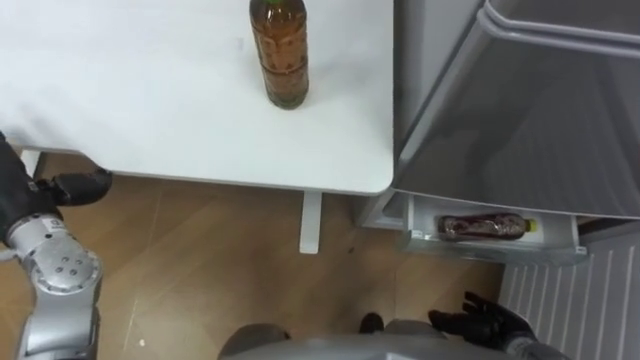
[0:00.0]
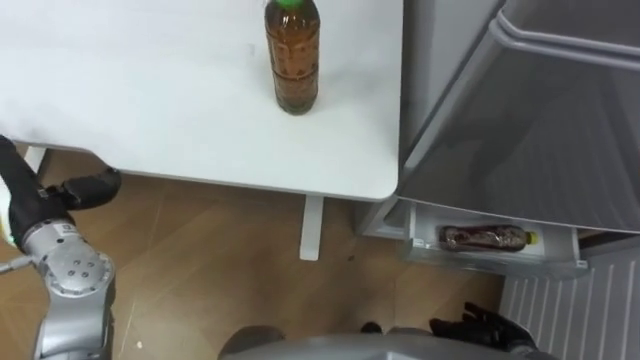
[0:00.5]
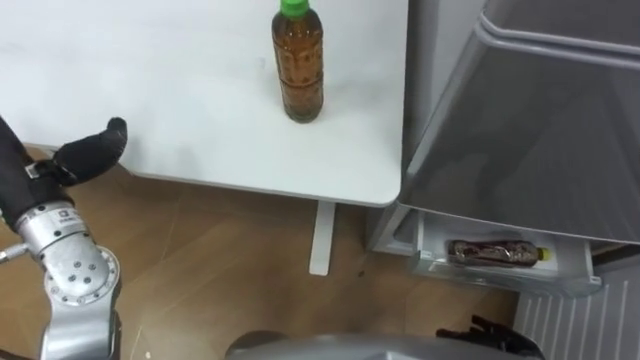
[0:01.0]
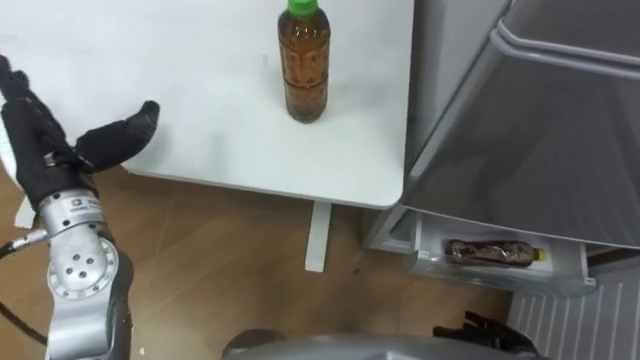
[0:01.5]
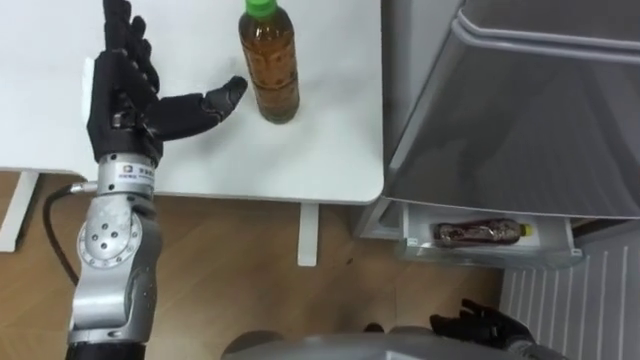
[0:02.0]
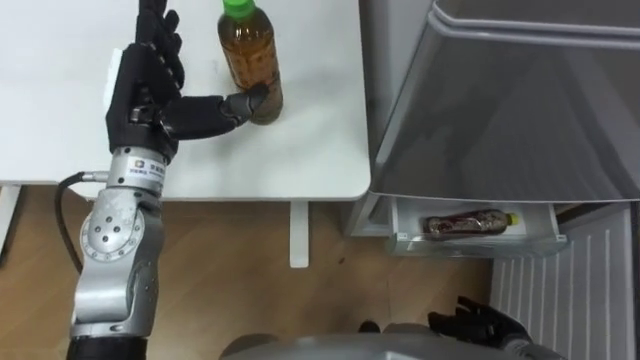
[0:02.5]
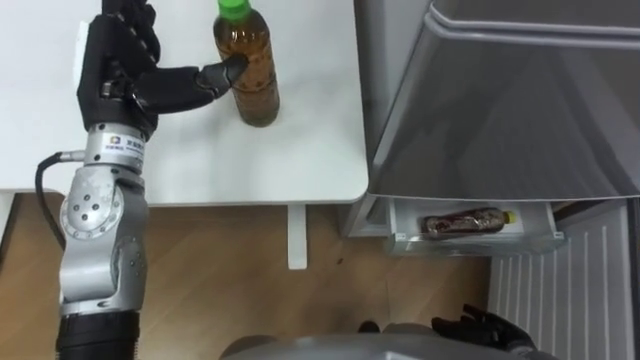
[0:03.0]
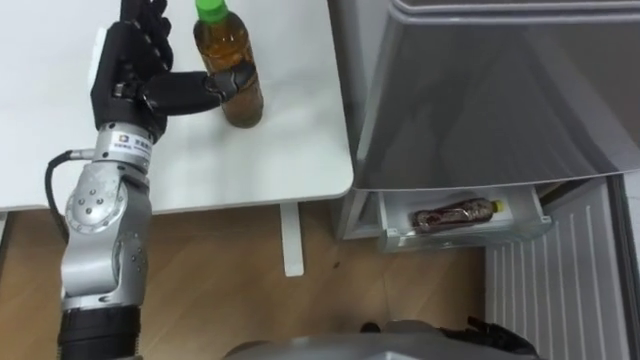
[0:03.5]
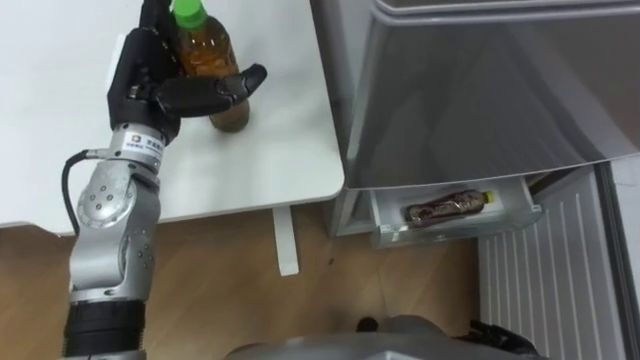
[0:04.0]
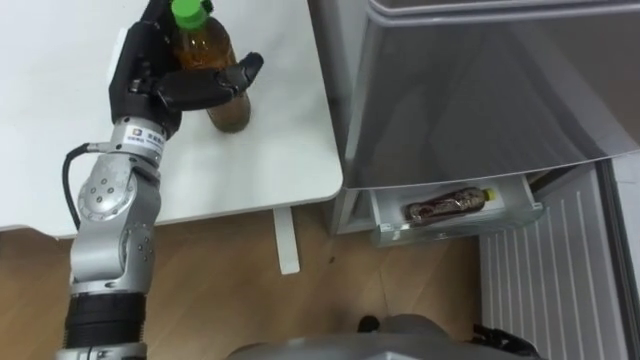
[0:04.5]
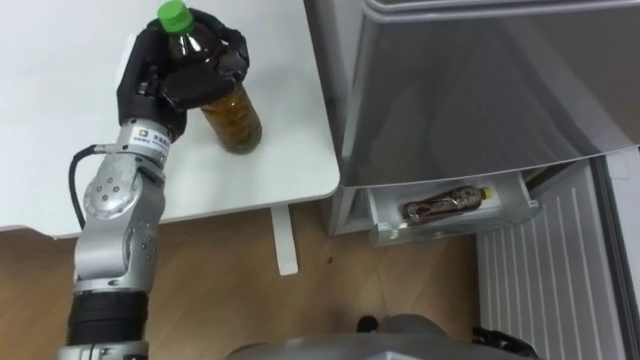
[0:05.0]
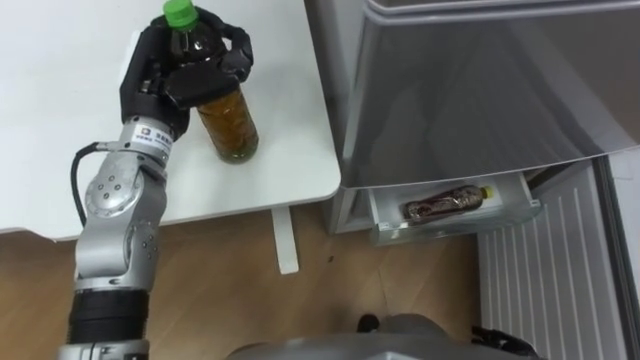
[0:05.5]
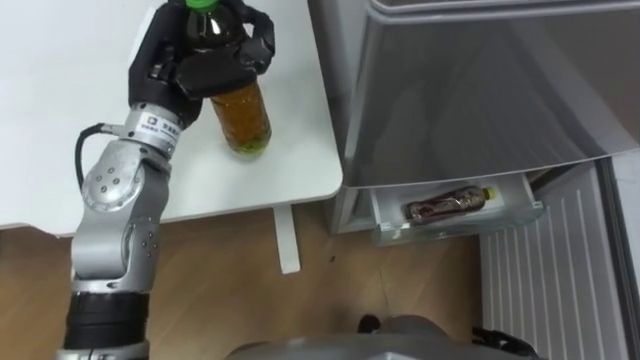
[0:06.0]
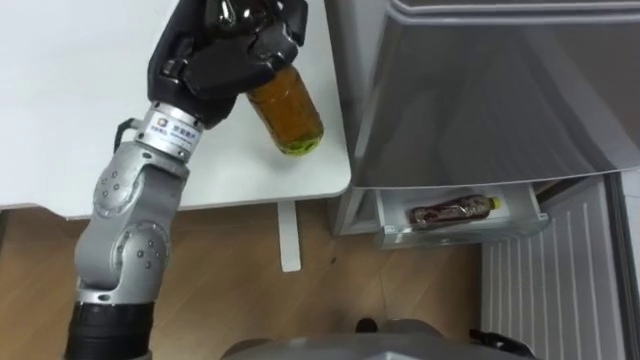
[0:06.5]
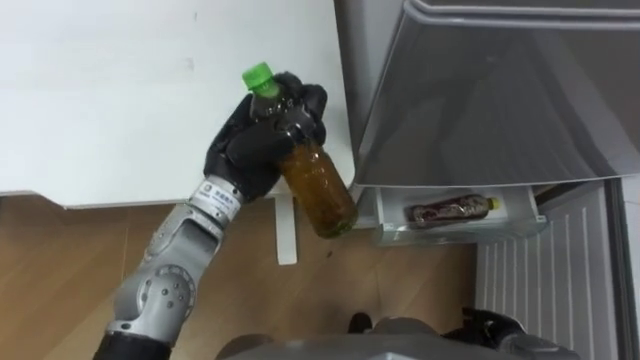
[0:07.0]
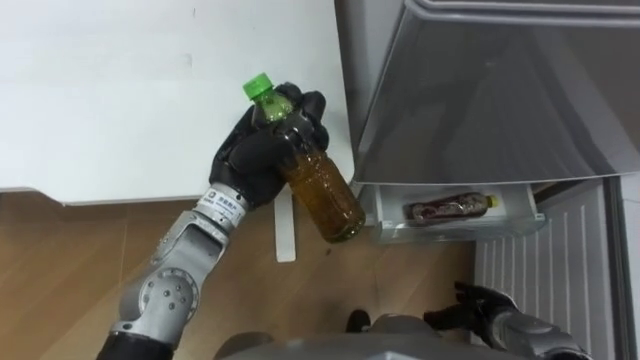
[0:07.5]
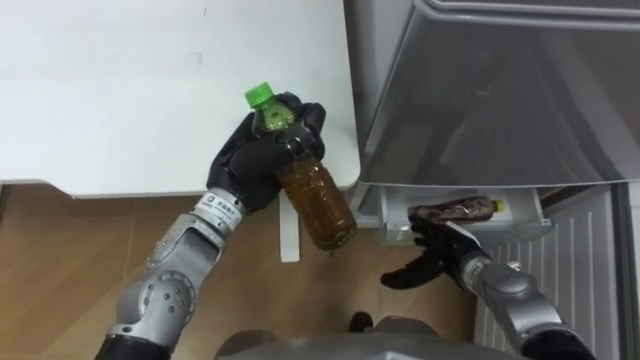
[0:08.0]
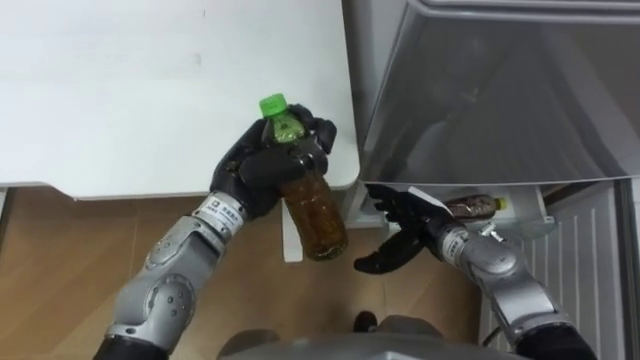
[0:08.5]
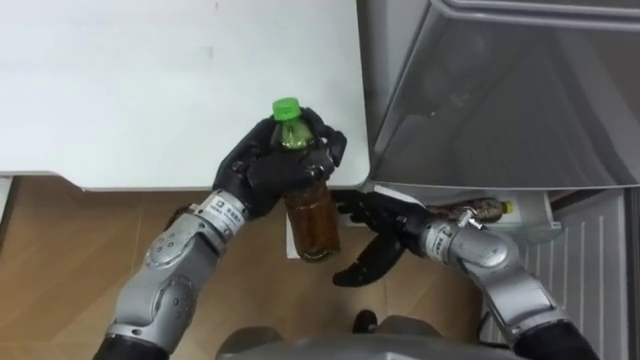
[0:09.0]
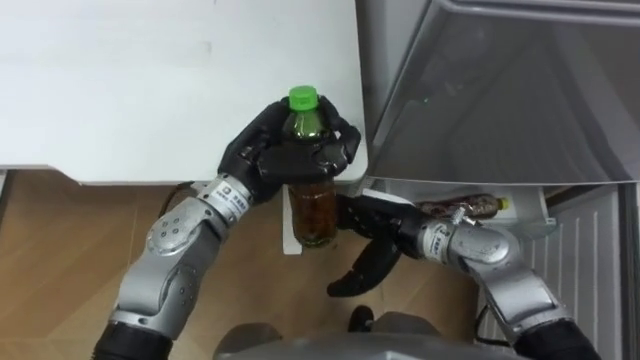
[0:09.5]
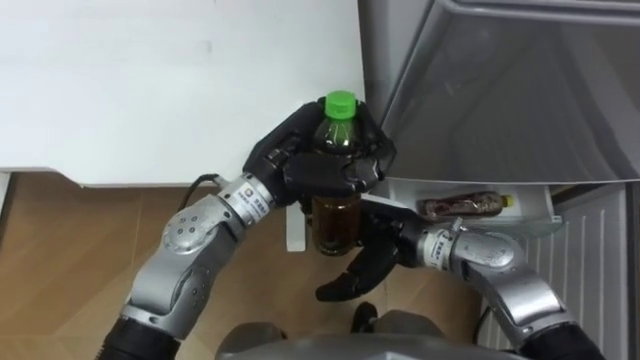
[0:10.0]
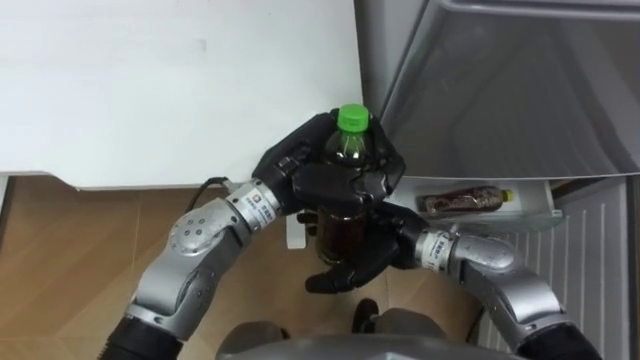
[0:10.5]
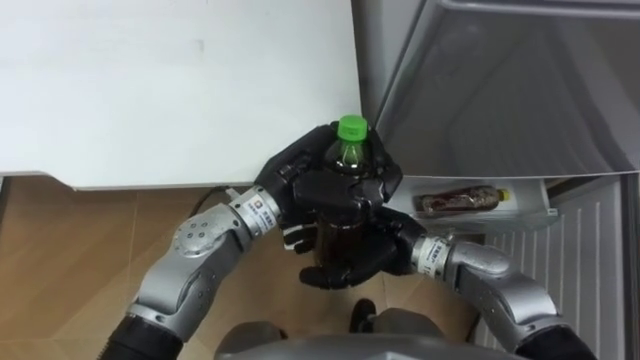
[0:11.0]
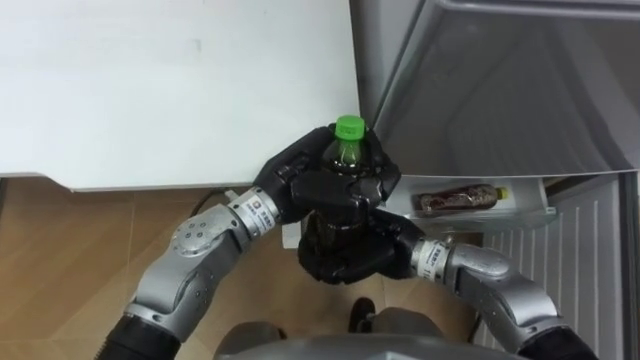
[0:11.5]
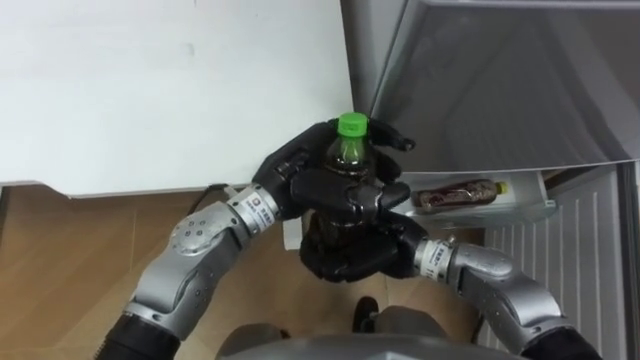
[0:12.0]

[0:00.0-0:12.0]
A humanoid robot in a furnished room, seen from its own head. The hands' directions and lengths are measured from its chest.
Task of the whole recording: Place the drink on the table on the bottom shelf of the refrigerator, then close the drawer and the refrigerator door.
0:04.0 to 0:06.0: The left hand closes.
0:06.0 to 0:08.0: The right hand travels forward, to the left and upward by approximately 15 cm; the left hand moves downward, to the right and backward, some 15 cm.
0:08.0 to 0:10.0: The right hand travels to the left and upward by roughly 15 cm. Meanwhile the left hand is displaced to the right by some 5 cm.
0:10.0 to 0:12.0: The right hand closes up, while the left hand opens its fingers.

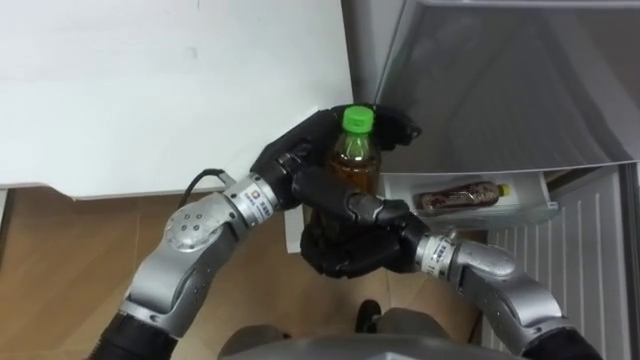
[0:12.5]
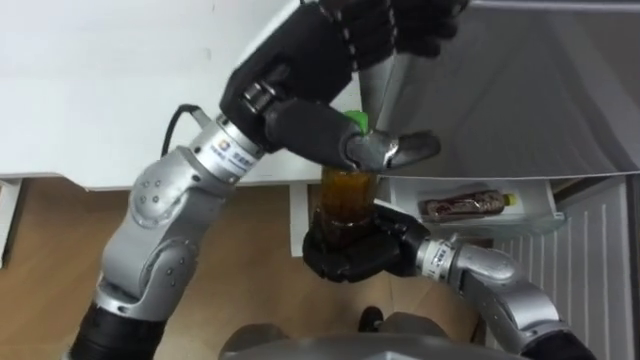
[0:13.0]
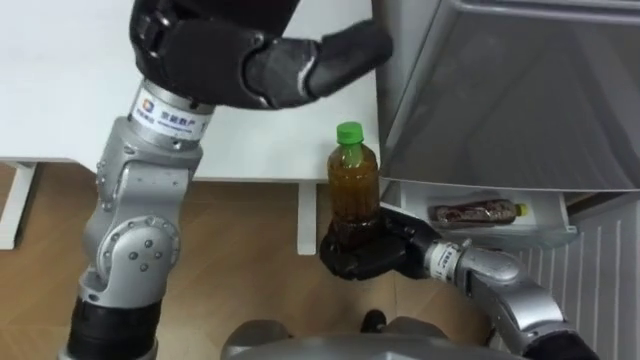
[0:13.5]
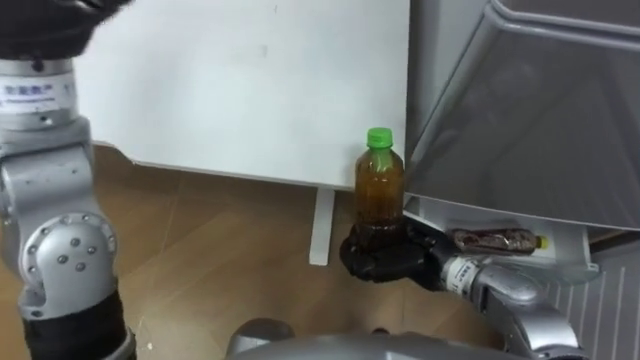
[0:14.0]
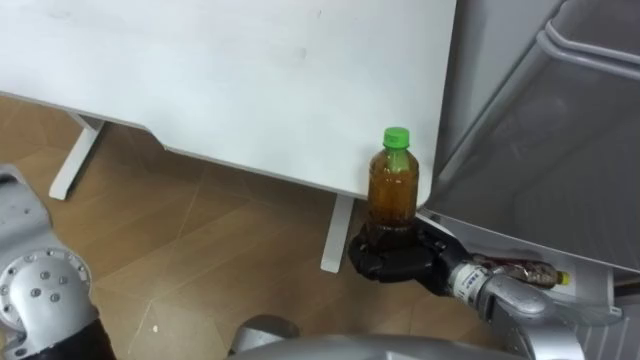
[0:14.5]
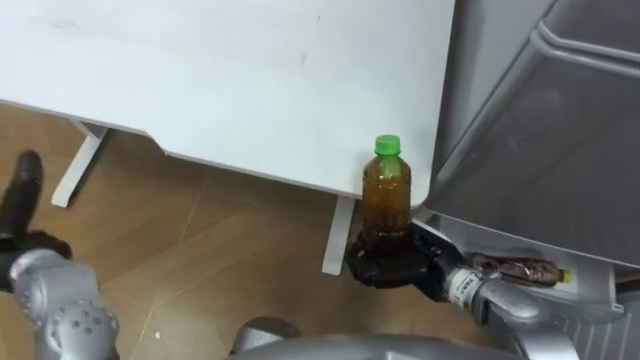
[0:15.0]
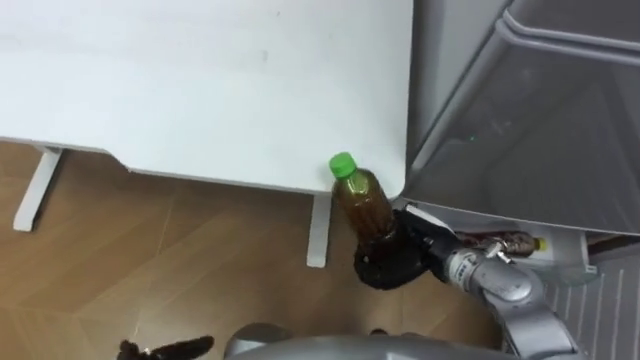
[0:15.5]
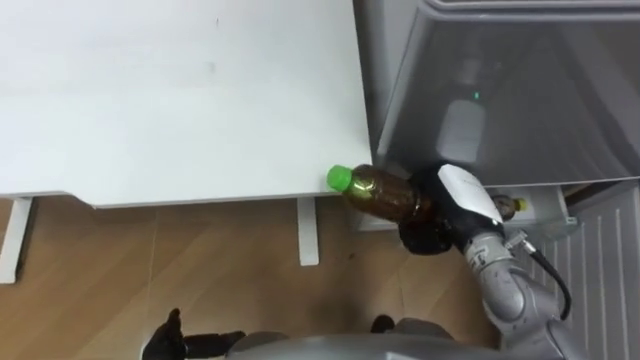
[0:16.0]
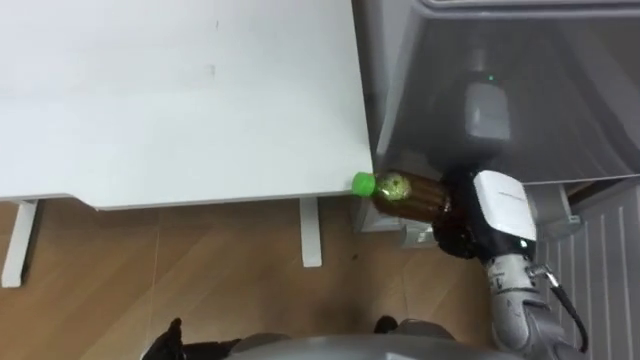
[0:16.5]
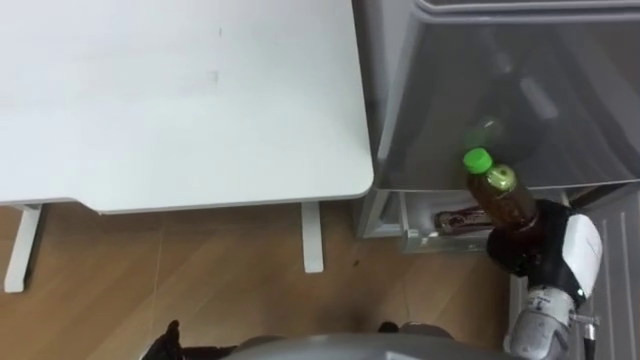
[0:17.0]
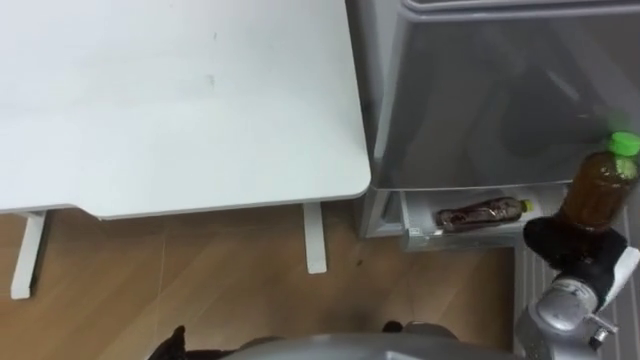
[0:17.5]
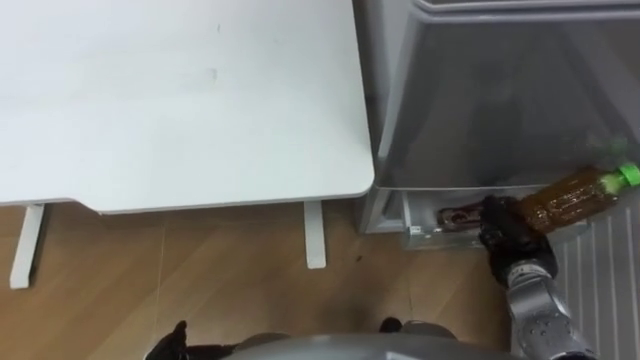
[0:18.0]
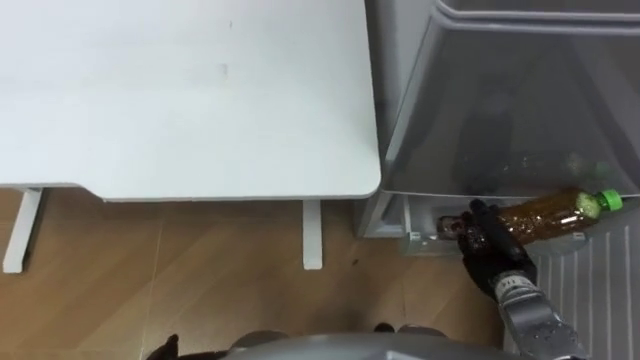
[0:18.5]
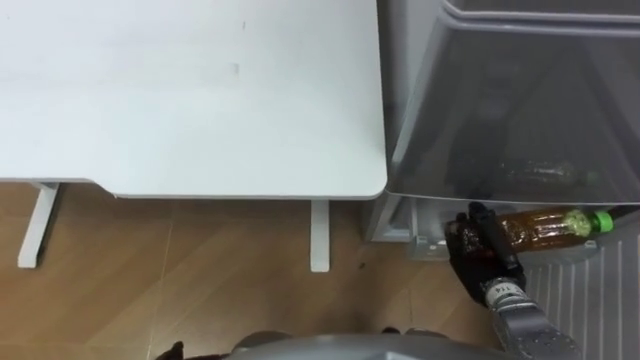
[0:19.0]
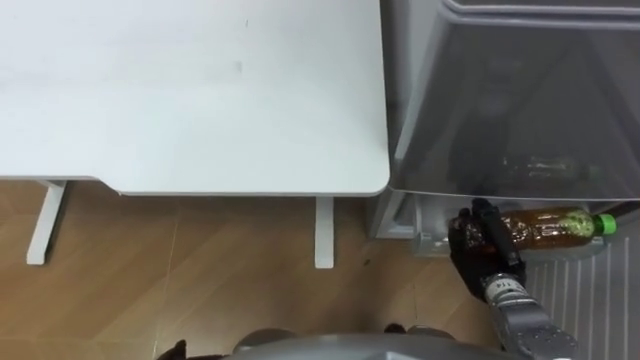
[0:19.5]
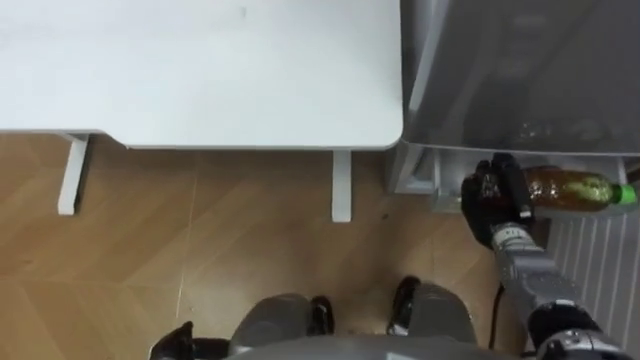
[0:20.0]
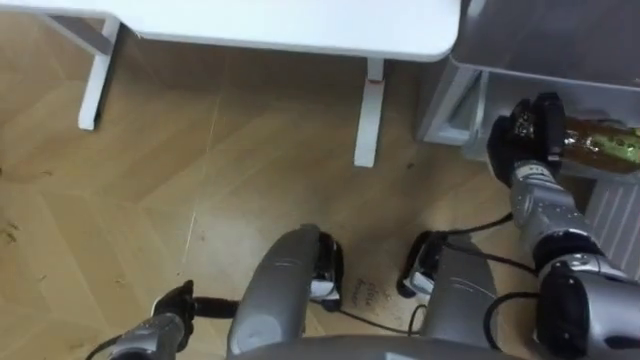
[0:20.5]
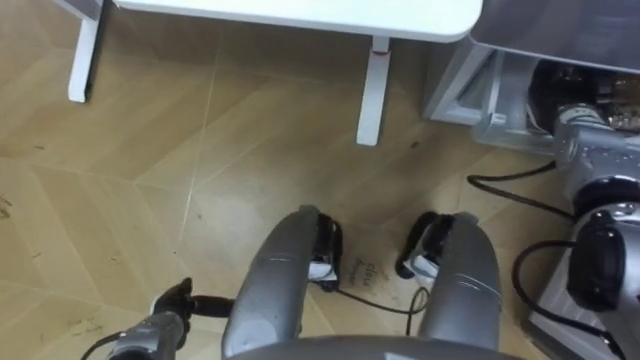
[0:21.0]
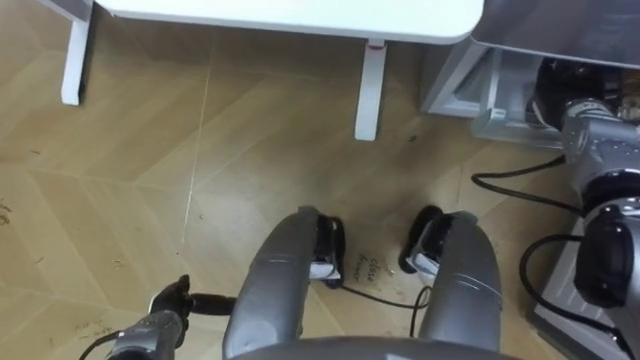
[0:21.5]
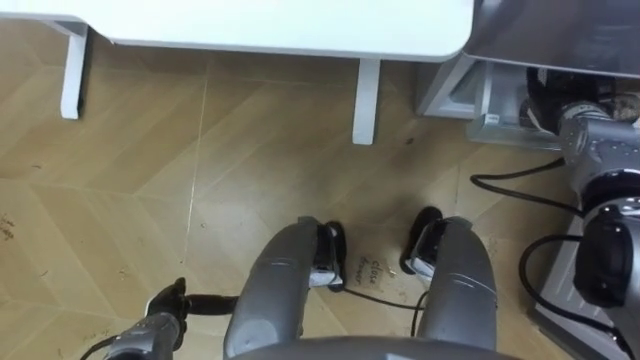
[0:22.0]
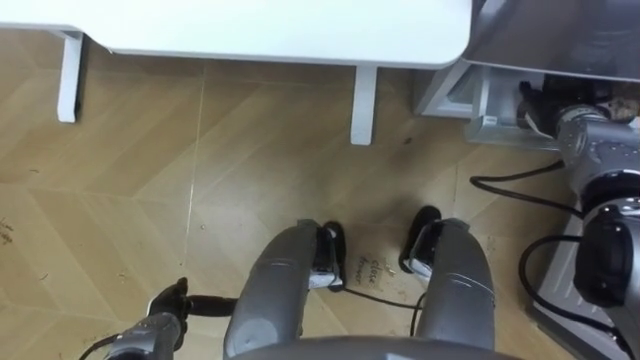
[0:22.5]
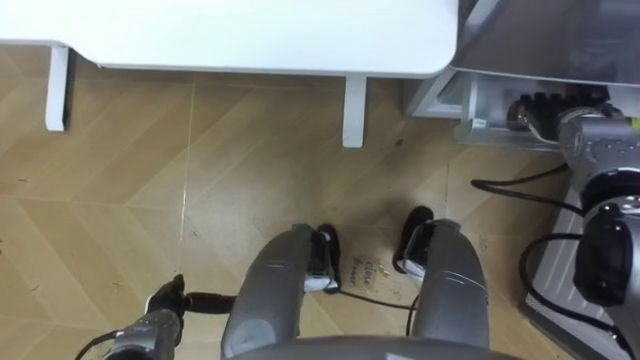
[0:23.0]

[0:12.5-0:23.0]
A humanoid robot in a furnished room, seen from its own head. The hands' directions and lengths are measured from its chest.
Task of the whole recording: Place the drink on the table on the bottom shelf of the refrigerator, then close the drawer and the refrigerator door.
0:12.5 to 0:14.5: The right hand goes some 5 cm to the right.
0:14.5 to 0:16.5: The right hand is displaced to the right by about 10 cm.
0:16.5 to 0:19.0: The right hand heads downward, covering some 10 cm, and moves roughly 15 cm to the right and comes back.
0:19.0 to 0:21.0: The right hand moves forward, upward and to the right, some 25 cm.
0:21.0 to 0:23.0: The right hand opens.
